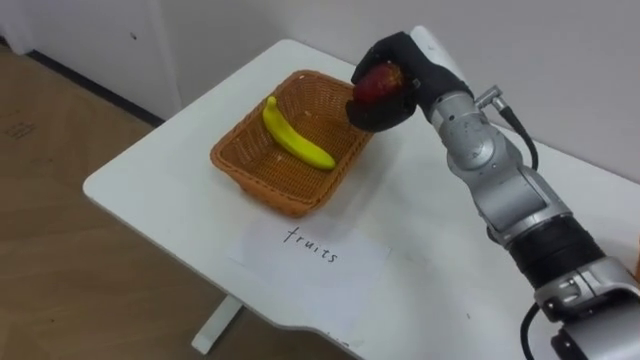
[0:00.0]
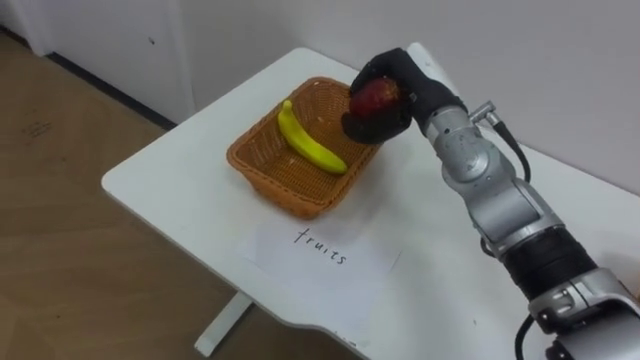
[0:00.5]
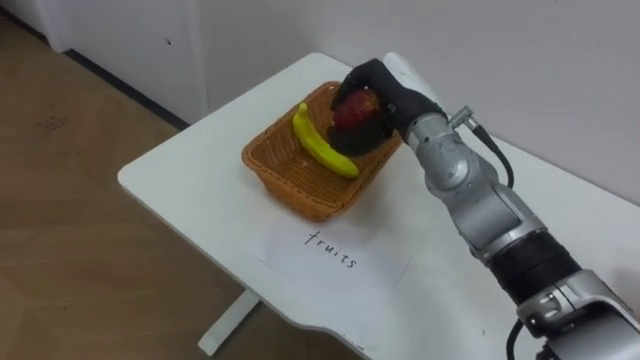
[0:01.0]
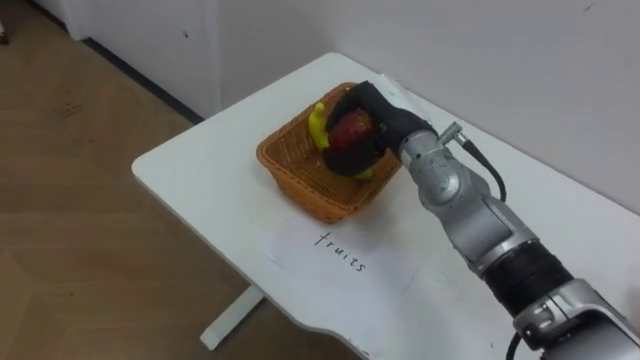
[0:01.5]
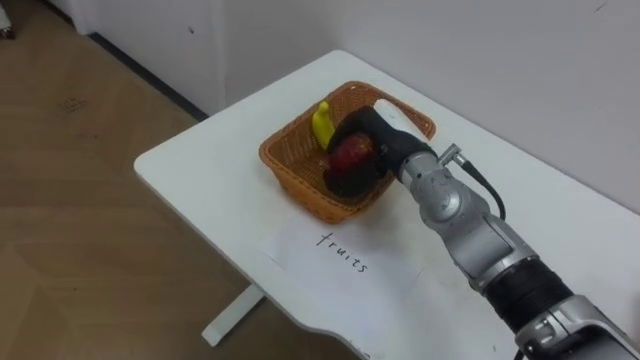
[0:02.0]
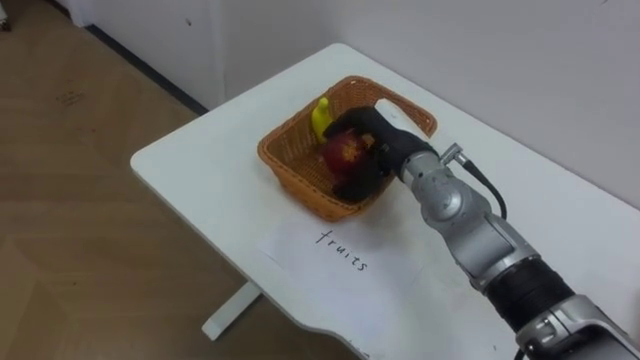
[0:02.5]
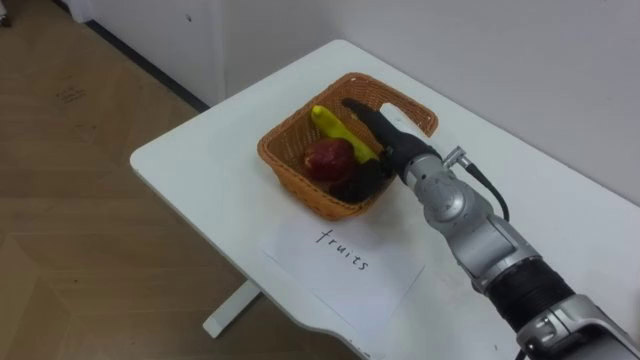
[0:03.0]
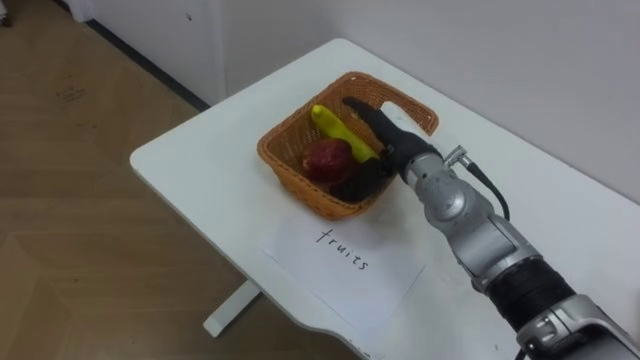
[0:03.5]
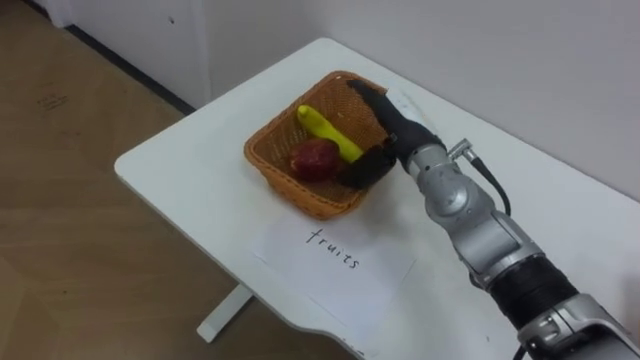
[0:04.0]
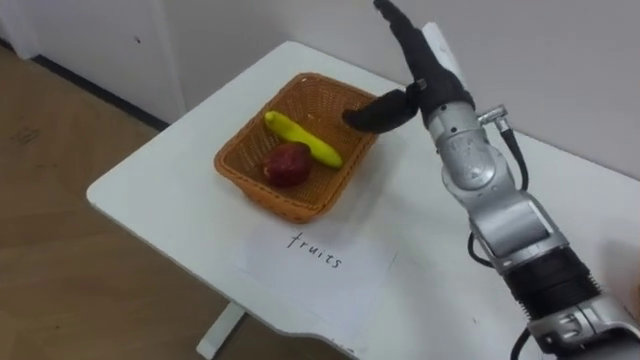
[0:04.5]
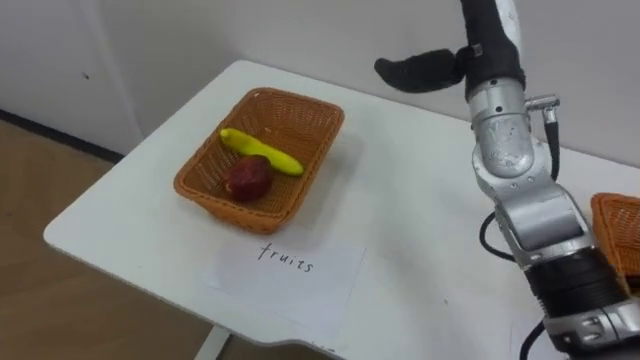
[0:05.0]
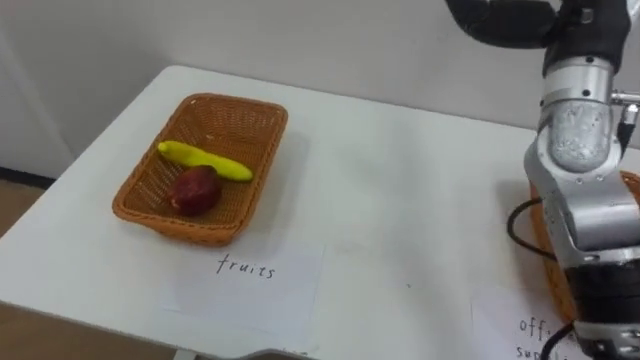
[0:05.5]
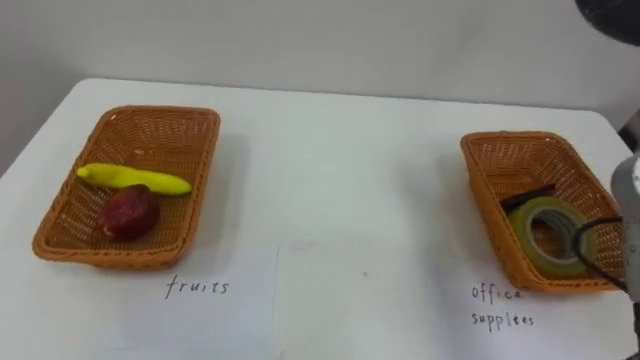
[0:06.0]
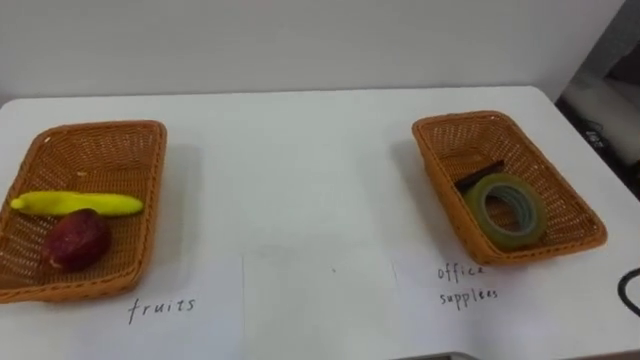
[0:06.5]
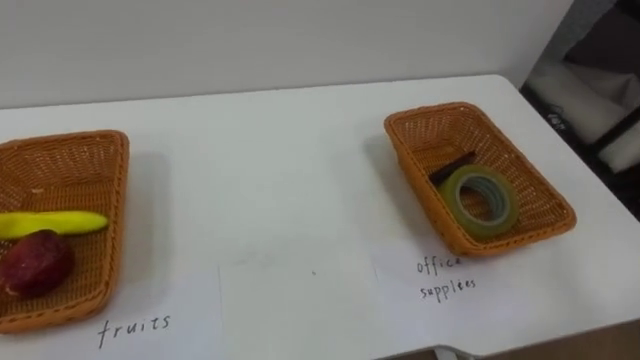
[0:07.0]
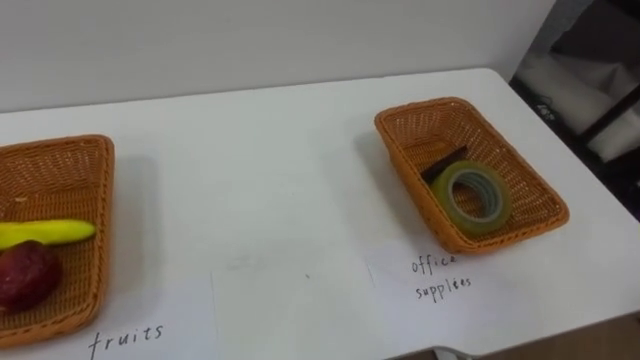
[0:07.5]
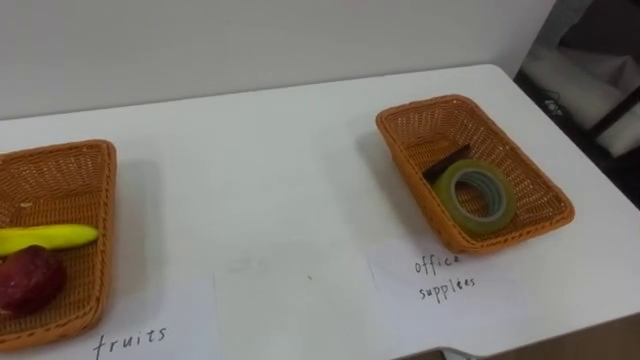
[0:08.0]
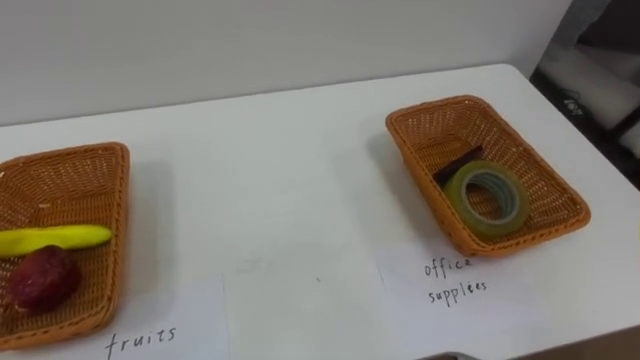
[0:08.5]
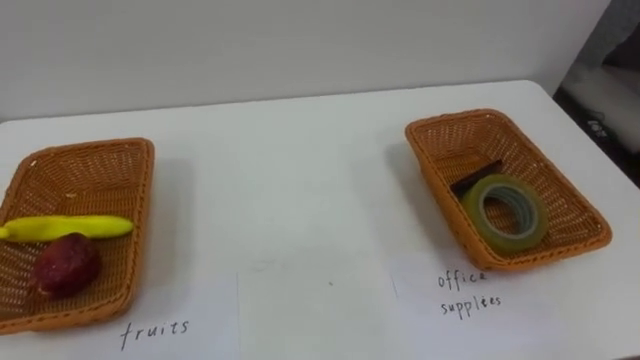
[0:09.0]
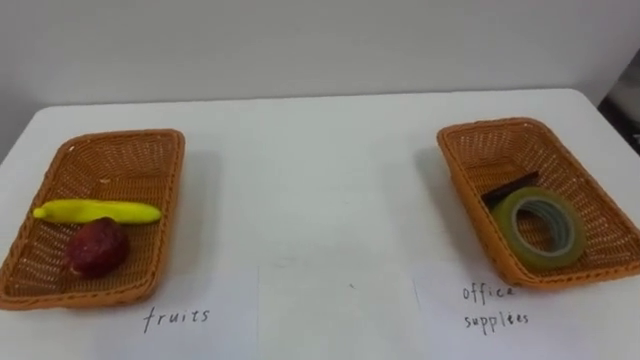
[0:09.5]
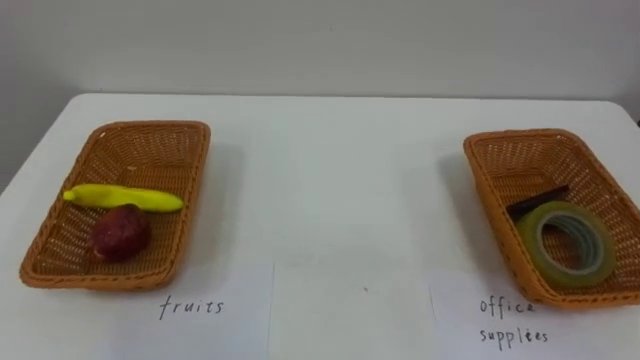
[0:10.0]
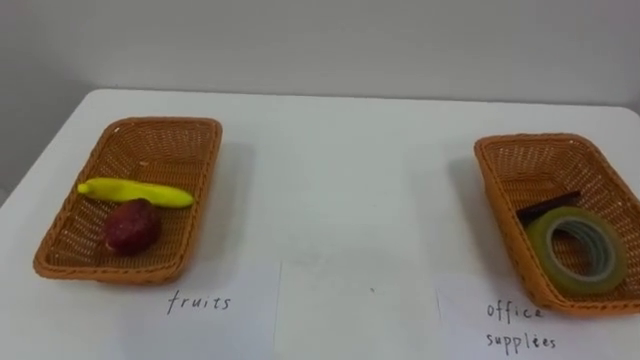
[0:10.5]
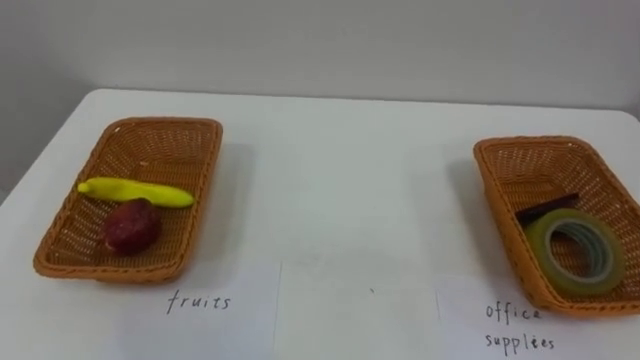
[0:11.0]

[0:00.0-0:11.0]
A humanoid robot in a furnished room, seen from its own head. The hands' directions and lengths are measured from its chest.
Task of the whole recording: Separate the items on the table and place them into the two baskets.
0:00.0 to 0:02.0: The right hand is displaced downward by some 5 cm.
0:02.0 to 0:03.5: The right hand opens its fingers.
0:03.5 to 0:05.5: The right hand goes some 25 cm upward and to the right.

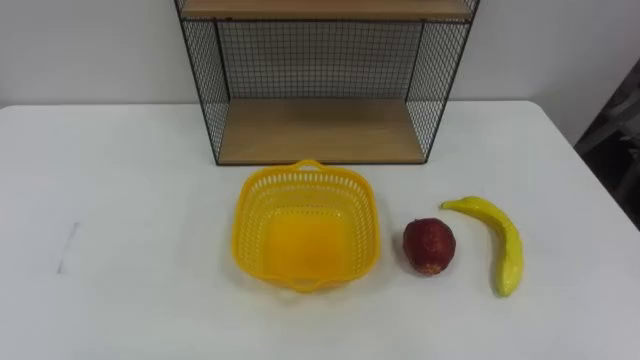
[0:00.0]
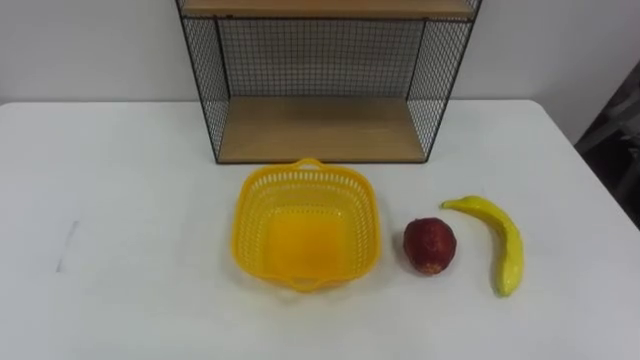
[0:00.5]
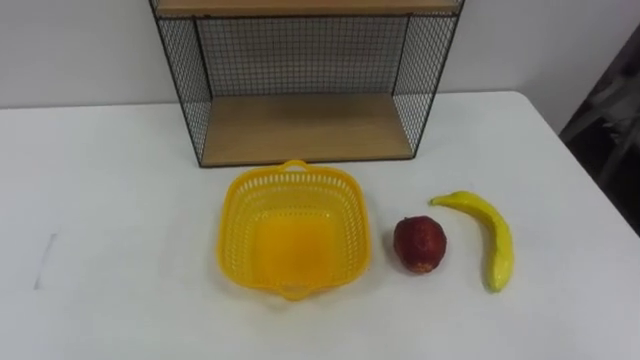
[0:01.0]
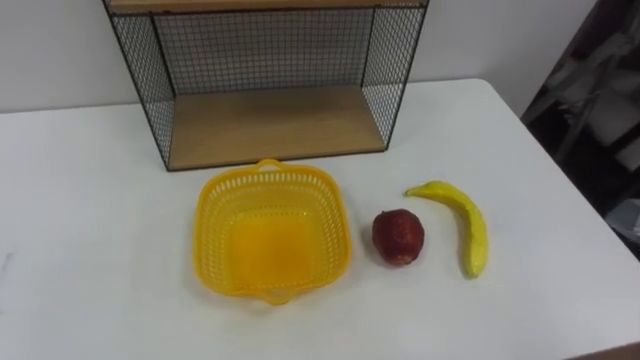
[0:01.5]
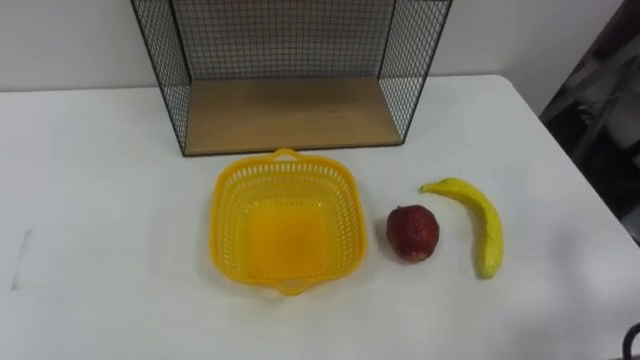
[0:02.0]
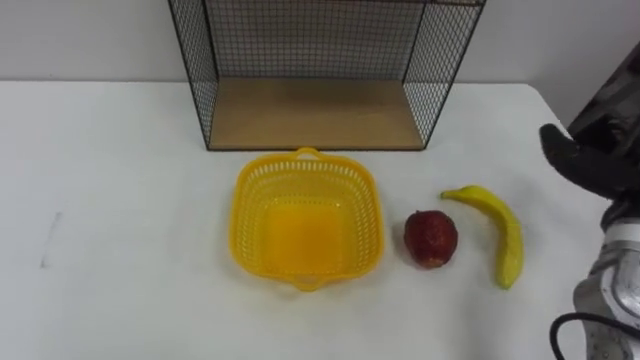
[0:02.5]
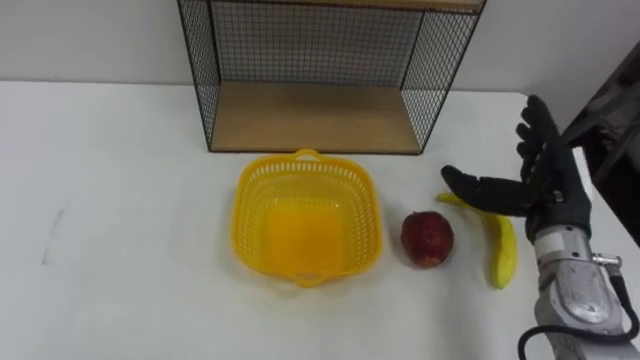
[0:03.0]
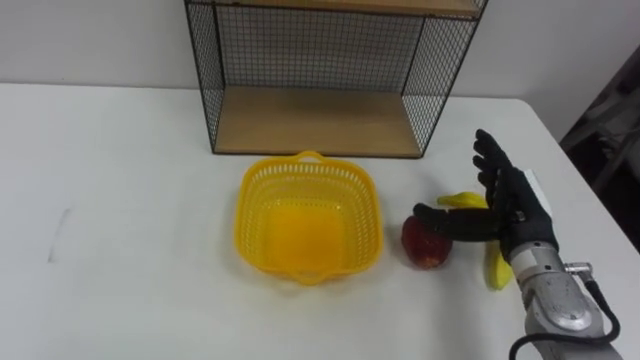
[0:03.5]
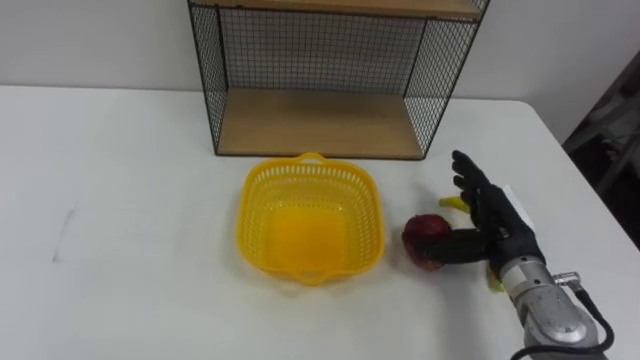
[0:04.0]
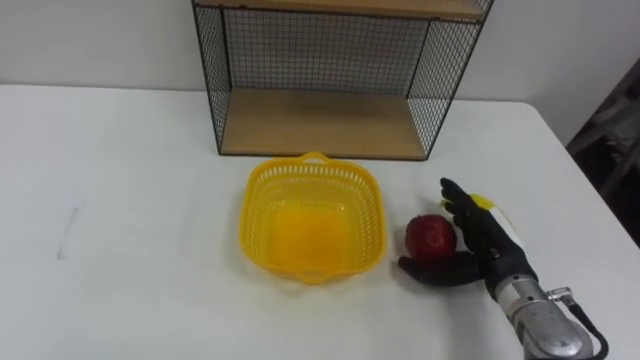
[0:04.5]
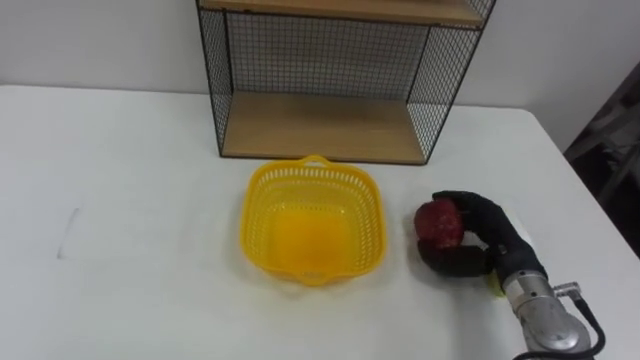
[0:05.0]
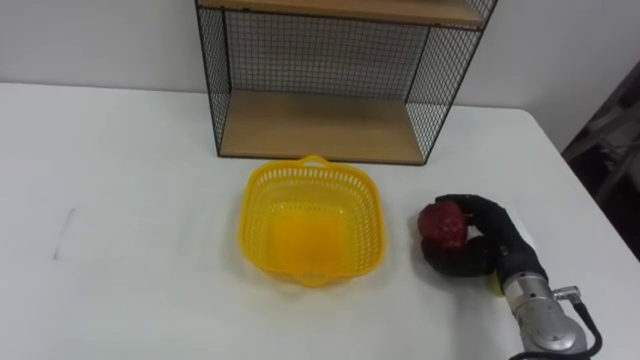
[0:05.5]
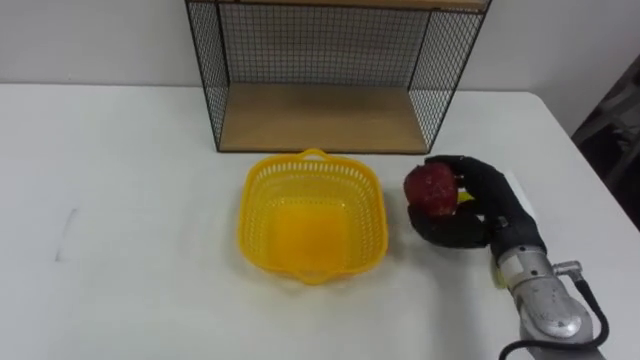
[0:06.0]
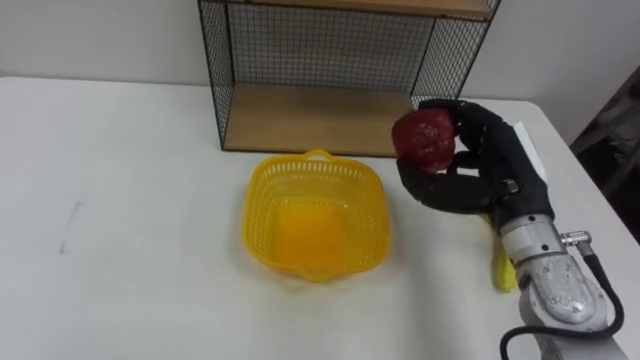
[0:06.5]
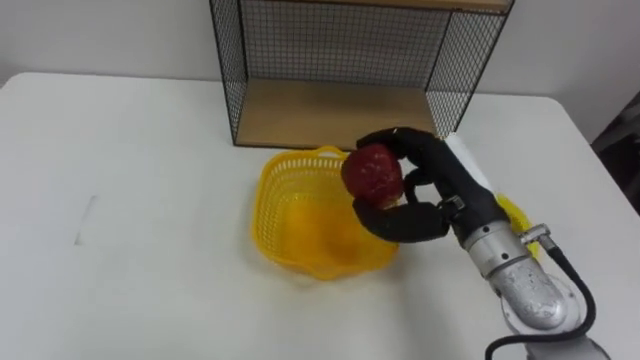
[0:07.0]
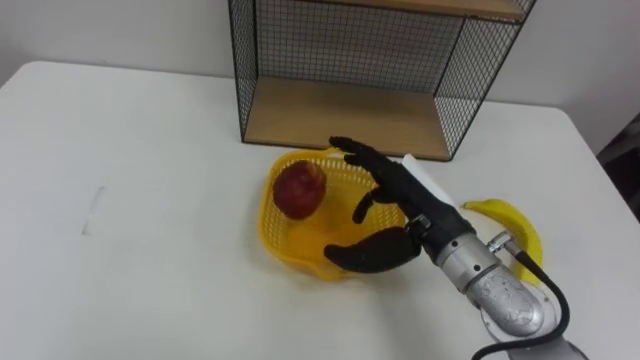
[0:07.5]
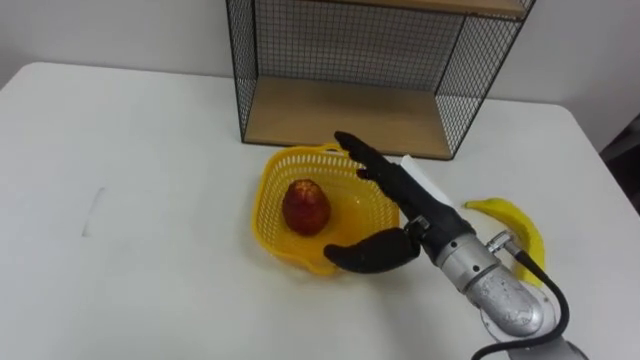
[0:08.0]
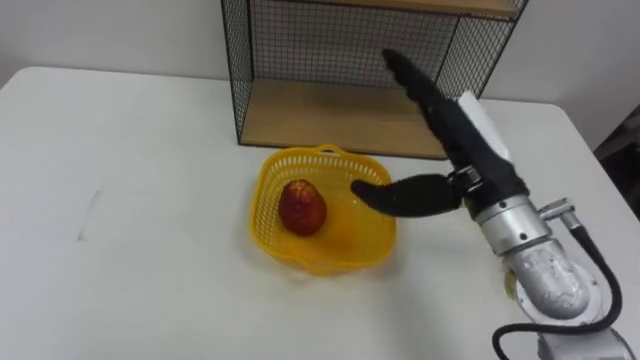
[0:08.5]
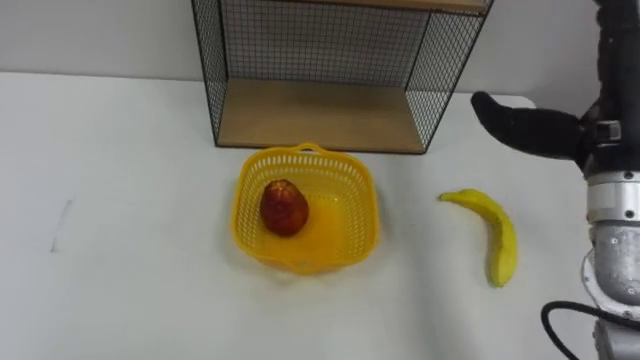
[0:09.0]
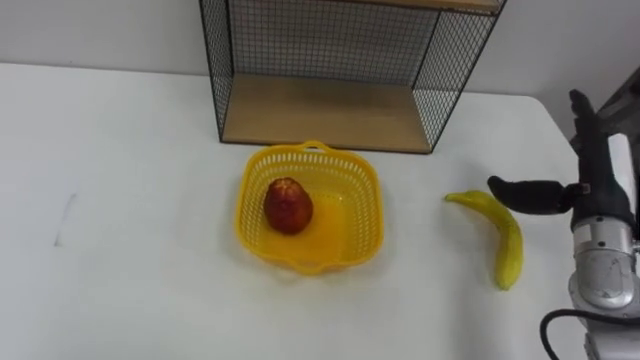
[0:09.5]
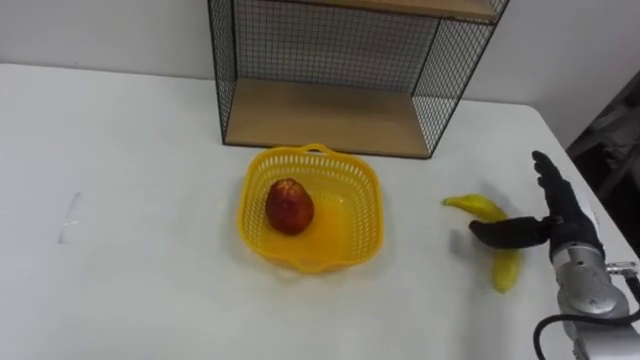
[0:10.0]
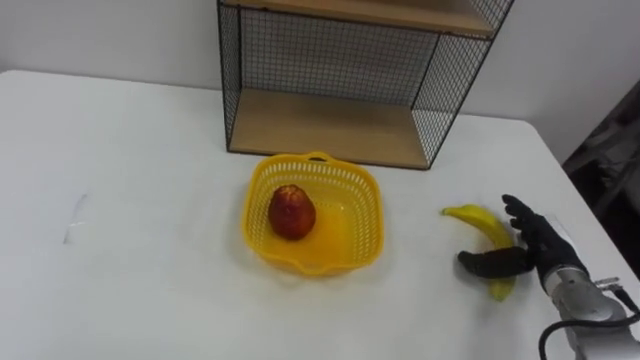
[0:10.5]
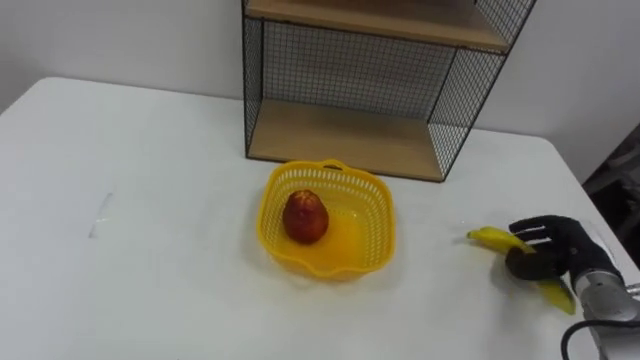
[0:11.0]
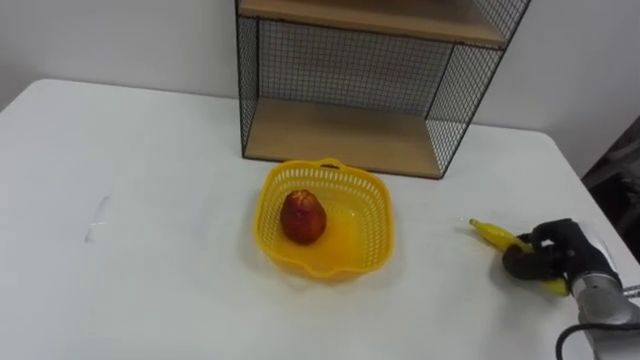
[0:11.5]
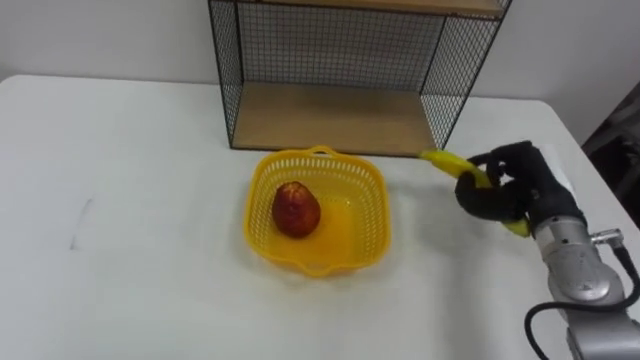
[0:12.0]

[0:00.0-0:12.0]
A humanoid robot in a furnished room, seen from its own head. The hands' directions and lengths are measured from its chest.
Task of the whole recording: Put the fruit on the table into the basket, then place the basket on the shelf.
0:04.0 to 0:06.0: The right hand closes.
0:06.0 to 0:08.0: The right hand goes approximately 10 cm to the left, and opens.
0:08.0 to 0:10.0: The right hand shifts about 20 cm to the right.
0:10.0 to 0:12.0: The right hand changes place by approximately 5 cm, and closes its fingers.
